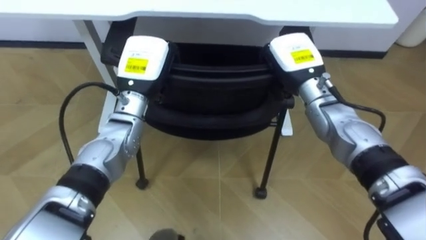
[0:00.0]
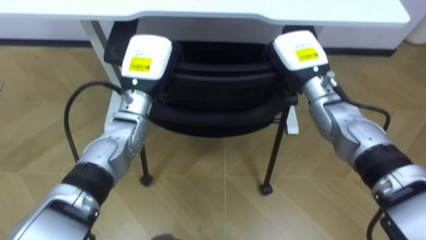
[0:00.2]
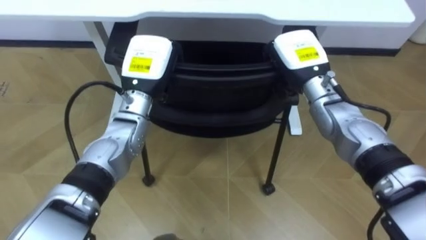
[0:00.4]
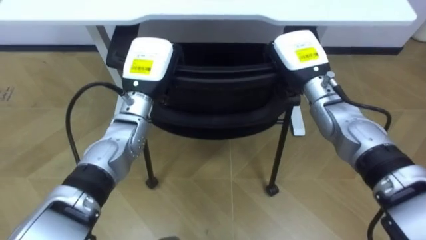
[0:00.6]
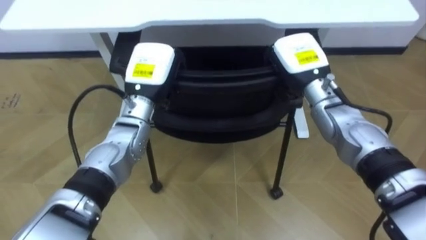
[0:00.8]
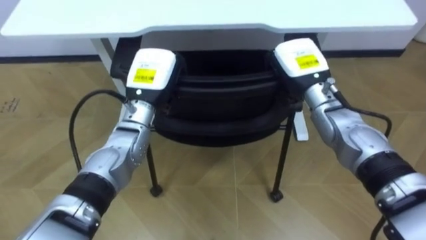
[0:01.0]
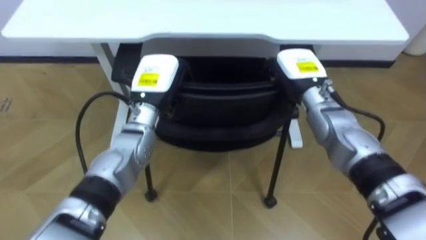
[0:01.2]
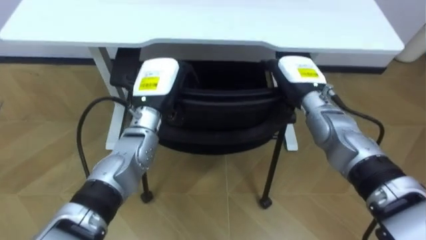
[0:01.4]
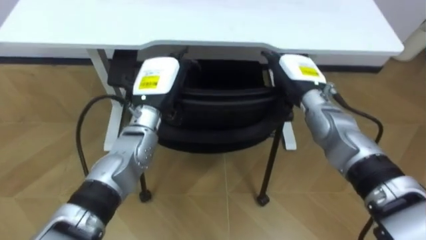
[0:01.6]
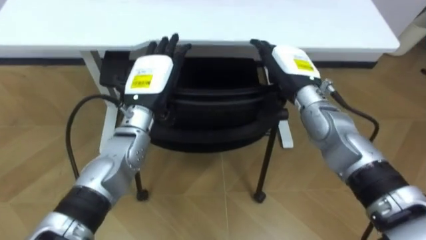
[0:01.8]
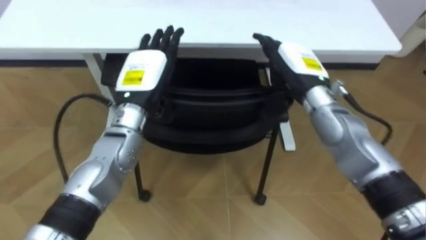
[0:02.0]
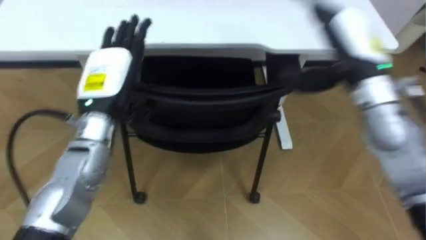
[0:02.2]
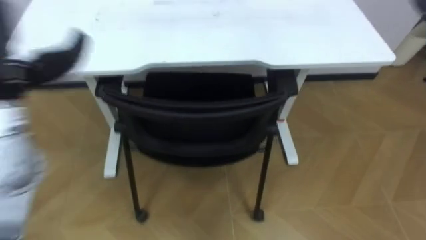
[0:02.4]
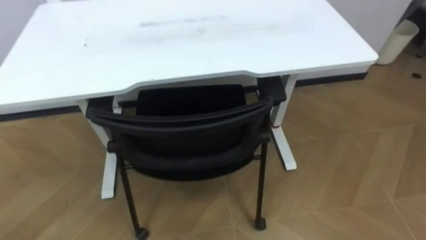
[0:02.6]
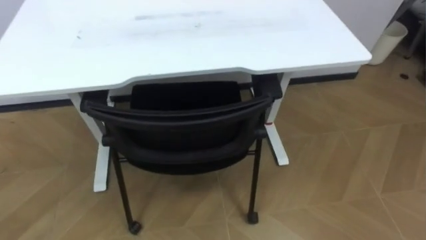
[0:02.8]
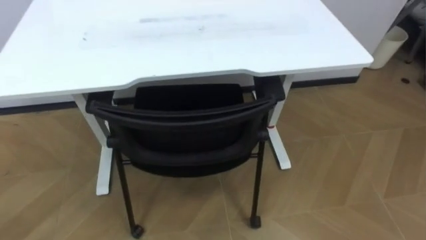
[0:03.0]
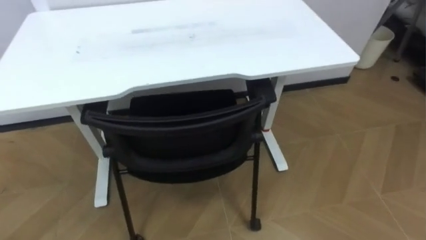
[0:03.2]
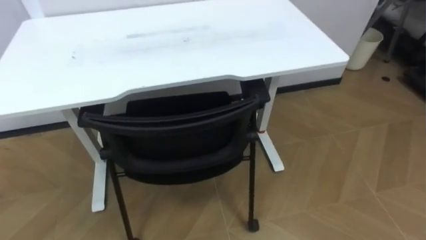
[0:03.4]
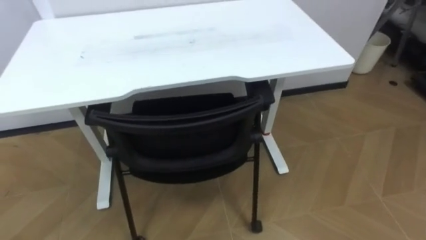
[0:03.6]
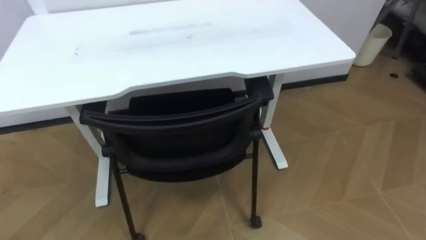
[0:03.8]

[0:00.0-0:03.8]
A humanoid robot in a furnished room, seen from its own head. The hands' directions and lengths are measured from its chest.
Task of the whole recording: Push the chair under the table.
0:00.0 to 0:01.2: The right hand opens.

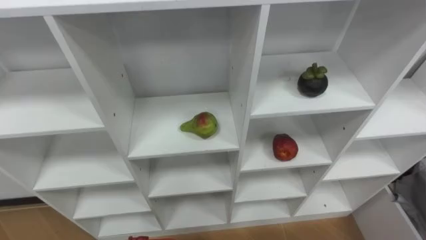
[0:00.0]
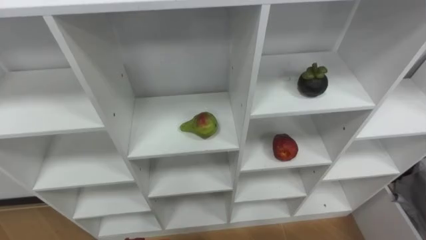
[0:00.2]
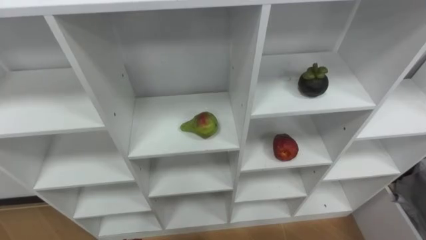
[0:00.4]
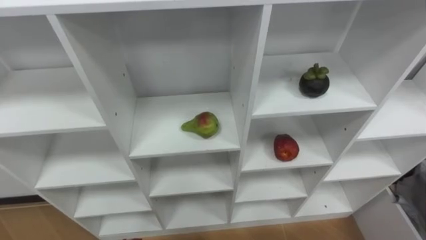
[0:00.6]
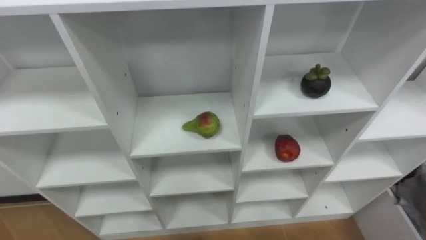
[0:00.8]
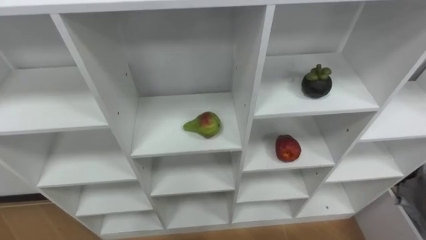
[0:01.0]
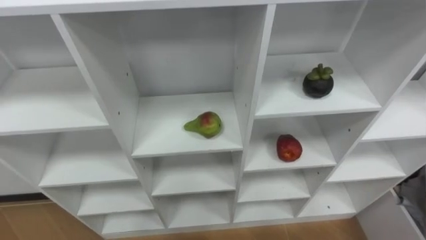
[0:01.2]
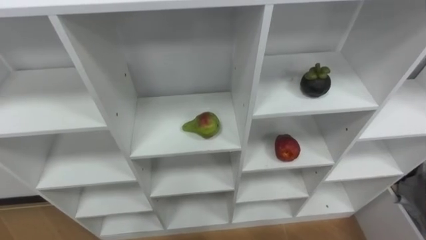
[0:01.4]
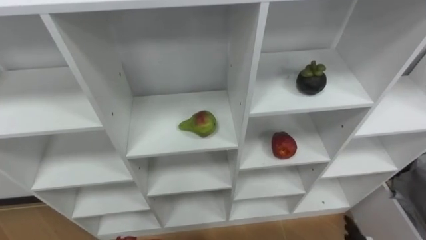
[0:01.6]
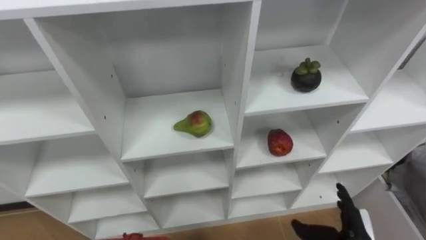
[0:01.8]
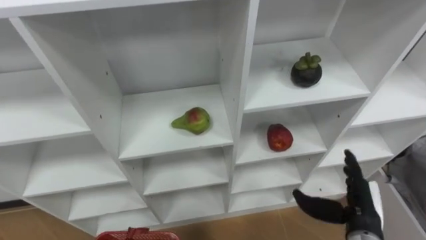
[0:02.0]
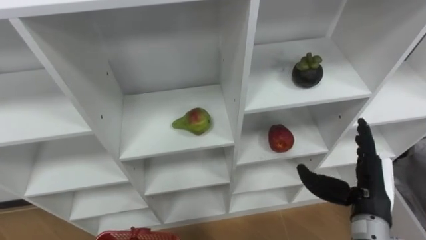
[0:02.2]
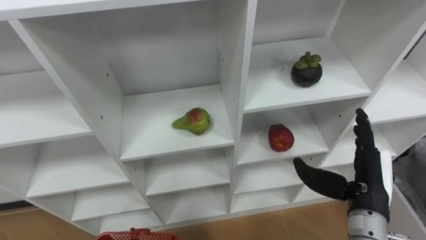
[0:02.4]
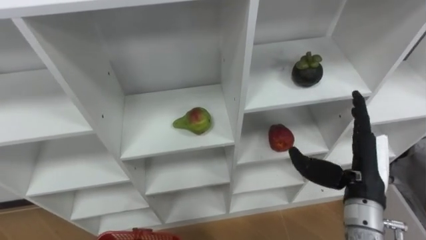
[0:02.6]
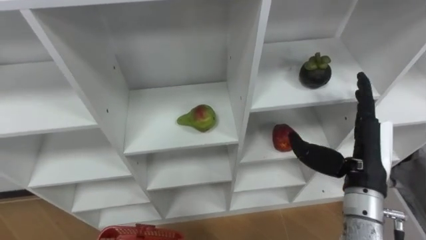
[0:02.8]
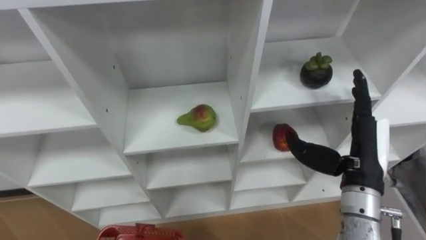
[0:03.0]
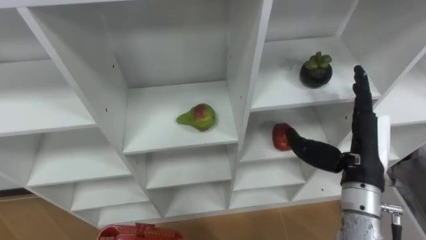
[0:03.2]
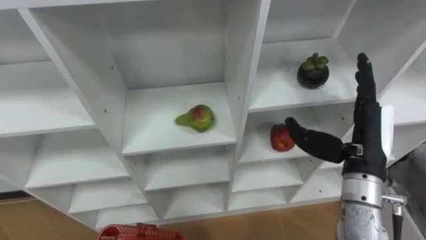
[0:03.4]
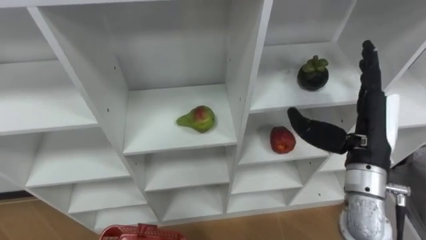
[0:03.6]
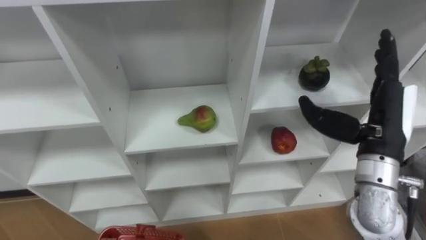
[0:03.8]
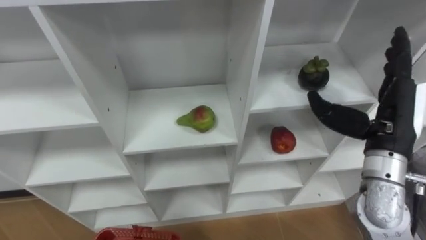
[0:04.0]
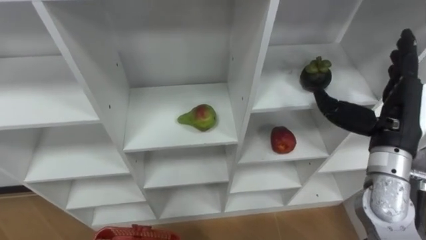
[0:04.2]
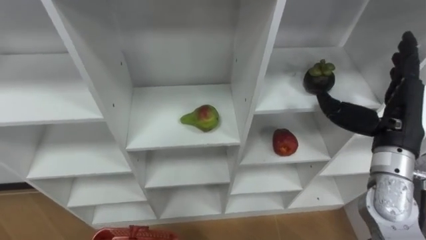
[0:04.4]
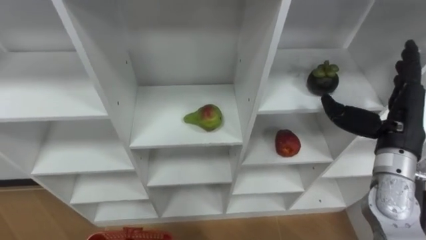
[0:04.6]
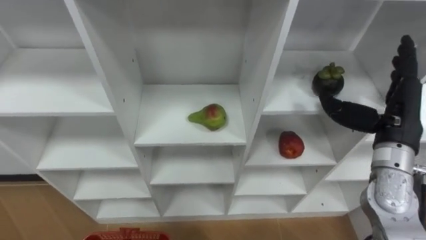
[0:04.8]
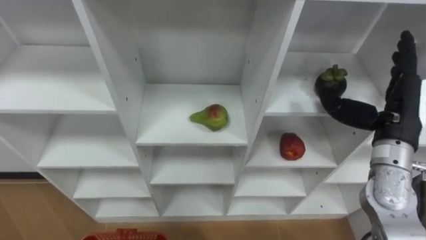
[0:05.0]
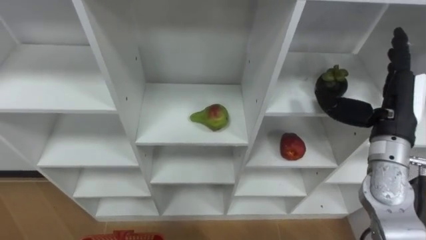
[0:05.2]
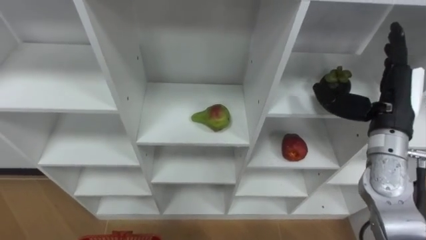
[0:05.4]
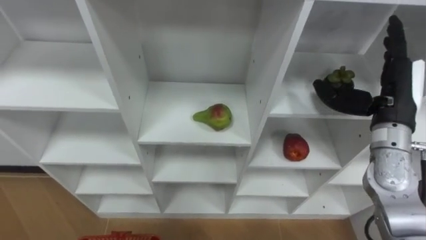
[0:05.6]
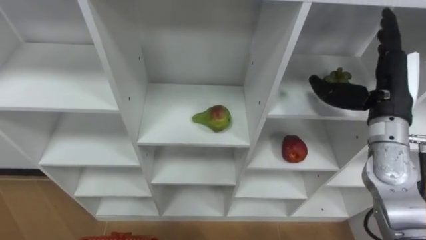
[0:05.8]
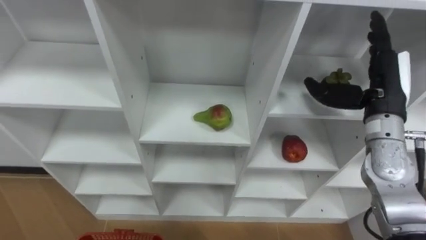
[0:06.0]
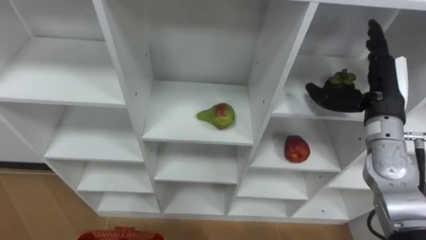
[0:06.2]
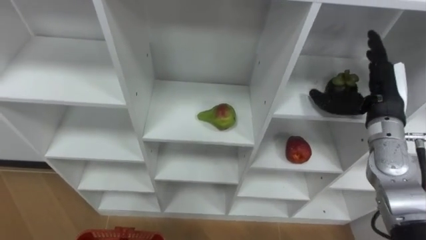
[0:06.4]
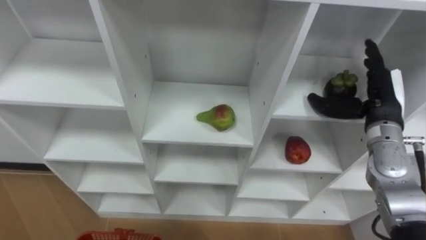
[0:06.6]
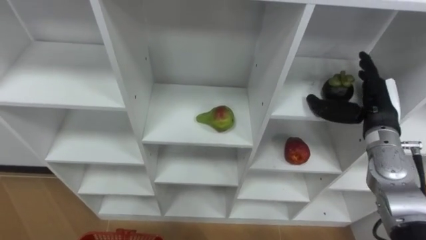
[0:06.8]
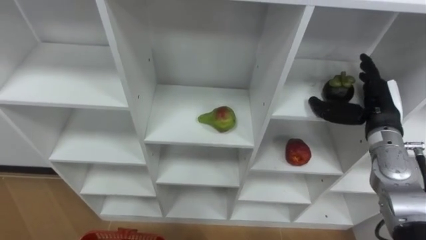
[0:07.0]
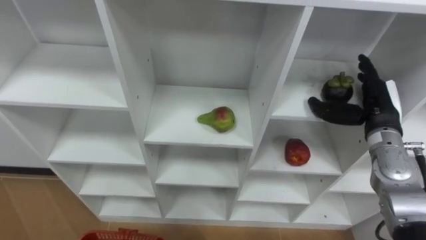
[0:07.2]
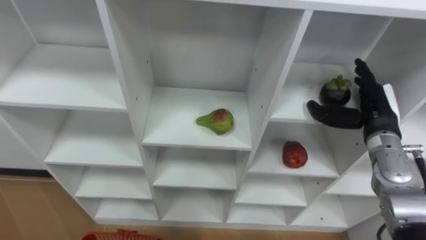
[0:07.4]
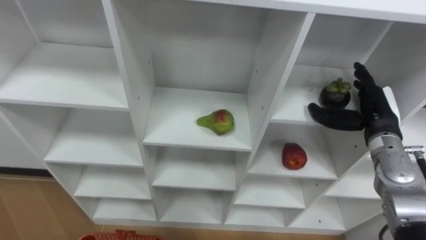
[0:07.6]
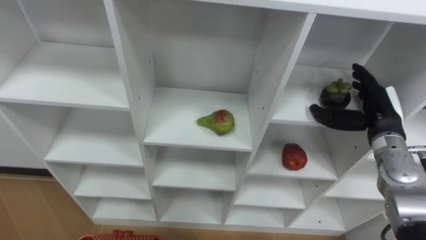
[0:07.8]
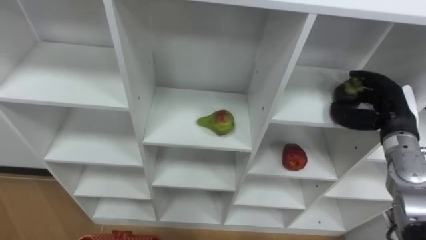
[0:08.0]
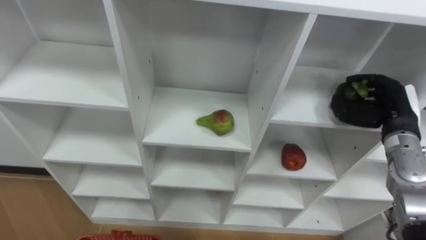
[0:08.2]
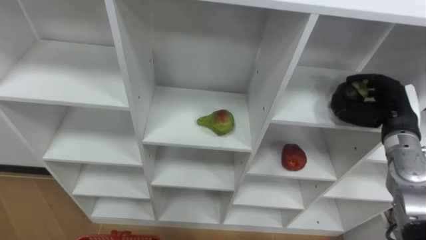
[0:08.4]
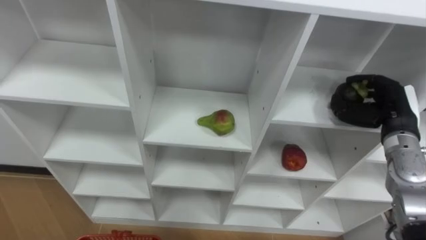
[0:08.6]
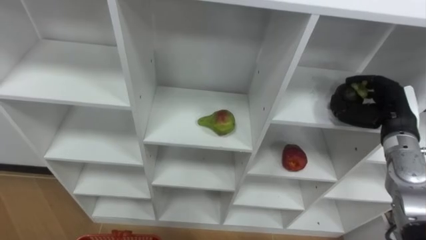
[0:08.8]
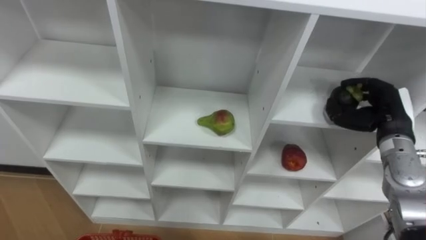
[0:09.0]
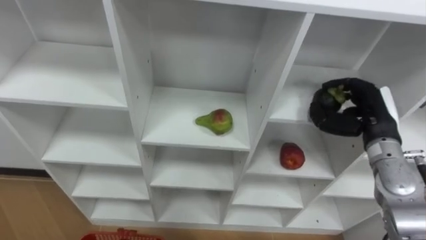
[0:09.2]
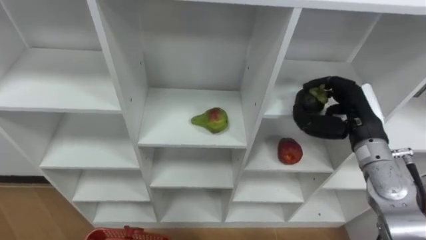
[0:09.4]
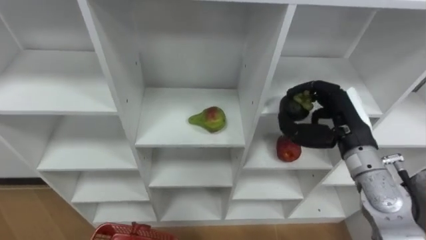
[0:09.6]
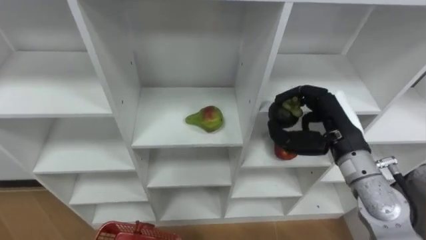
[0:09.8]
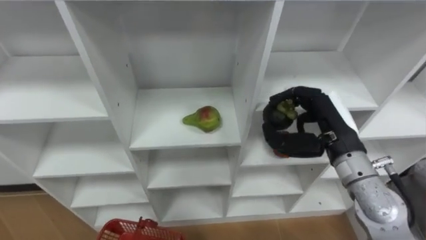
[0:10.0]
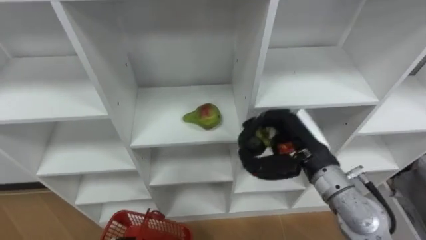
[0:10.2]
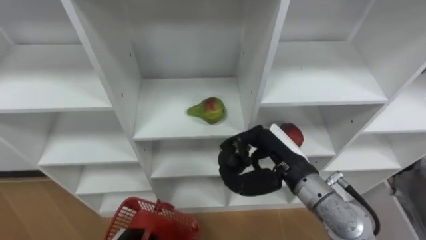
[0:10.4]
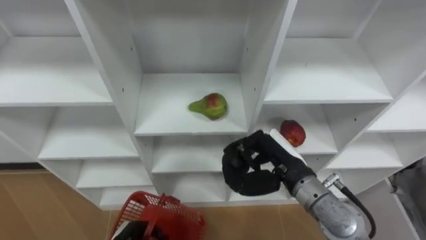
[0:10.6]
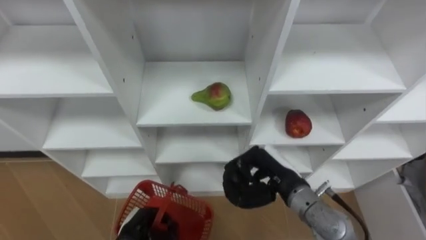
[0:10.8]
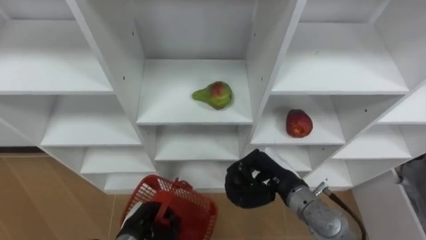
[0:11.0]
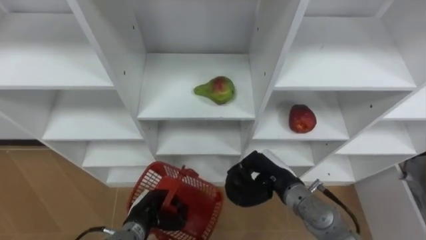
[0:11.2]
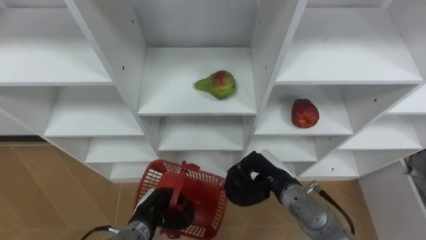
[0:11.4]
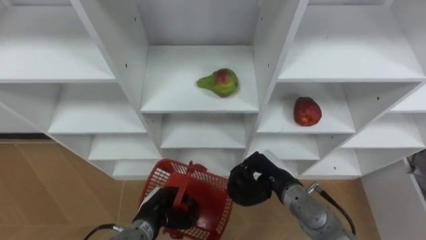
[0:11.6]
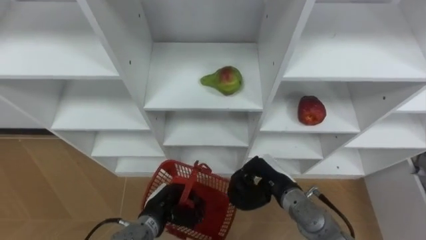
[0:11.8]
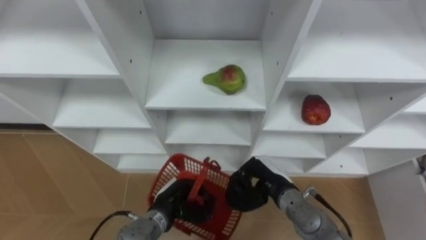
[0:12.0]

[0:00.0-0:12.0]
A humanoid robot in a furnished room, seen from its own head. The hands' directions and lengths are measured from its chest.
Task of the whole recording: Hold the basket and collect the fruits from 3 different cells of the closet into it.
0:03.0 to 0:04.4: The right hand shifts by about 5 cm.
0:04.4 to 0:06.0: The right hand moves forward, approximately 5 cm.
0:06.0 to 0:07.6: The right hand travels downward by about 10 cm.
0:07.6 to 0:09.0: The right hand closes up.
0:09.0 to 0:10.4: The right hand goes approximately 20 cm to the left.
0:10.4 to 0:12.0: The right hand is displaced downward by some 10 cm.

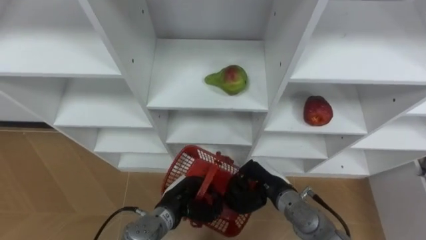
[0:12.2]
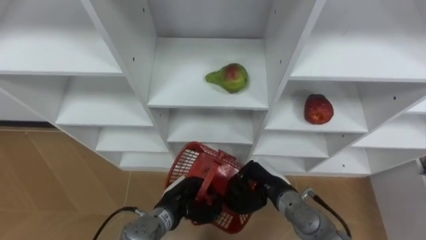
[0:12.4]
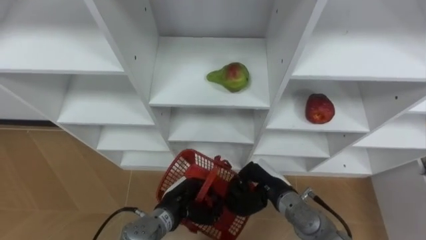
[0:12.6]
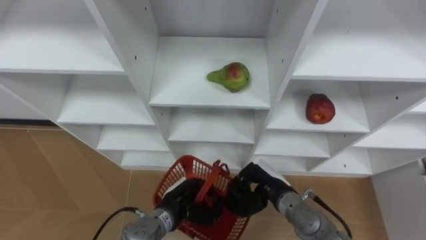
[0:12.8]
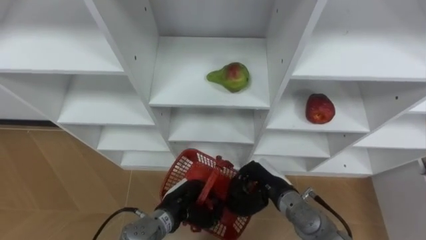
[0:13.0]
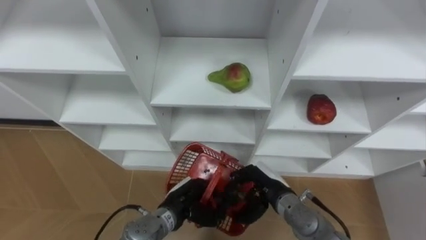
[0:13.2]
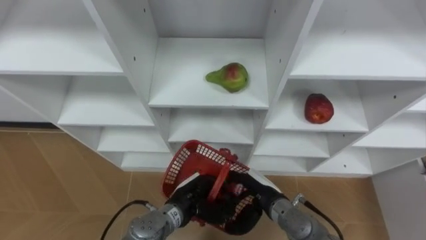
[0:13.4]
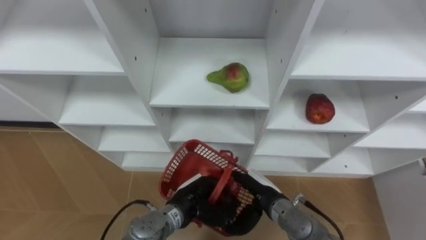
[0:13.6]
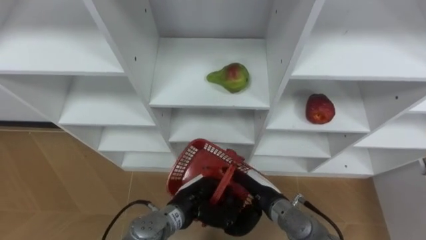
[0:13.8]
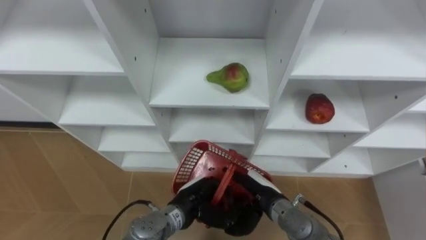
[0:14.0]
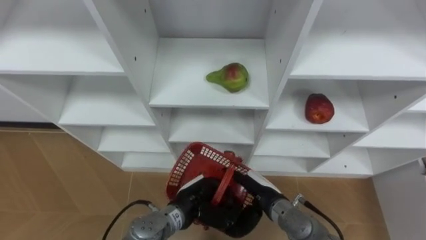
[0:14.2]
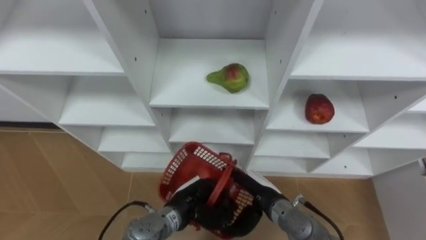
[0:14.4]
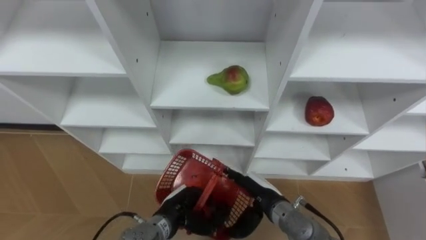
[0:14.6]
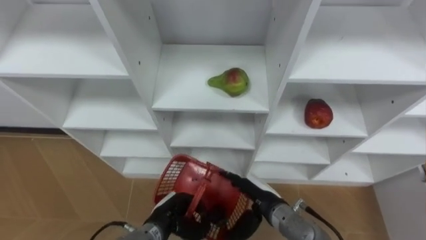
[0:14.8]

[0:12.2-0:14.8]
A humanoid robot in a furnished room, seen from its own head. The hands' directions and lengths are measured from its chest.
Task of the whole recording: Hold the basket and collect the fruits from 3 different cells of the closet into it.
0:12.2 to 0:13.4: The right hand opens its fingers.
0:13.4 to 0:14.8: The left hand shifts by approximately 5 cm.
